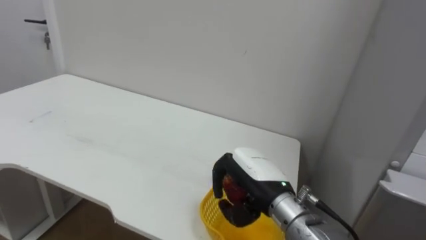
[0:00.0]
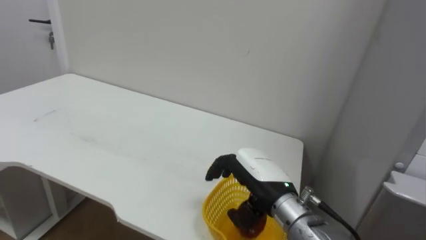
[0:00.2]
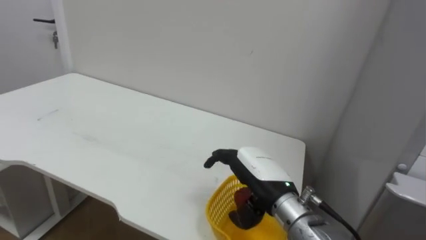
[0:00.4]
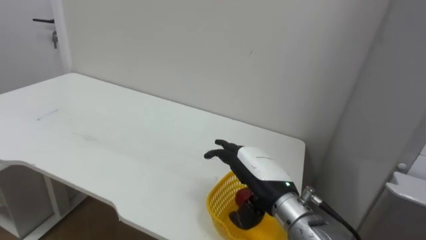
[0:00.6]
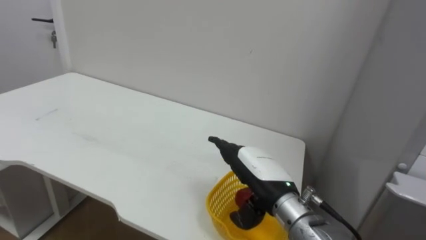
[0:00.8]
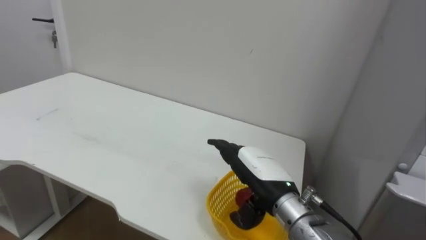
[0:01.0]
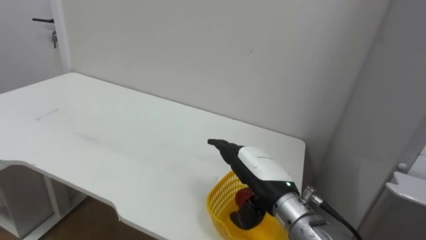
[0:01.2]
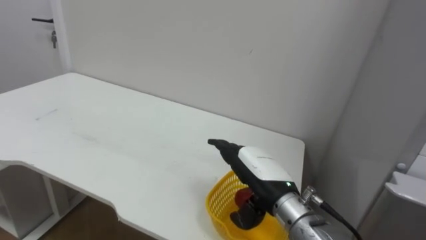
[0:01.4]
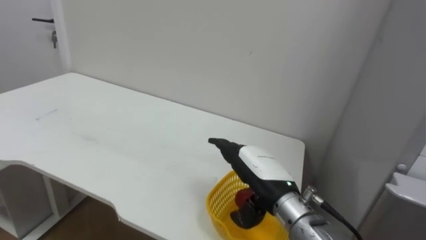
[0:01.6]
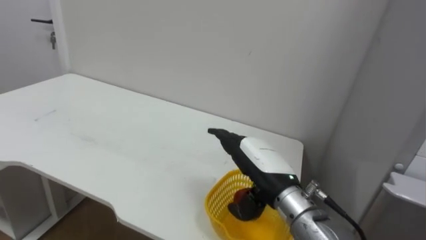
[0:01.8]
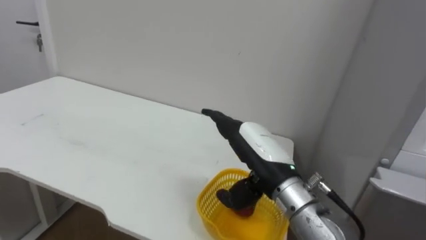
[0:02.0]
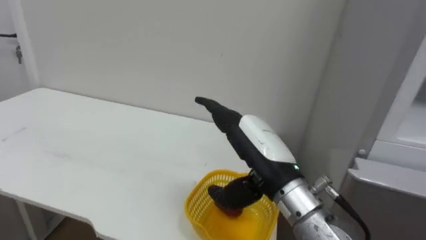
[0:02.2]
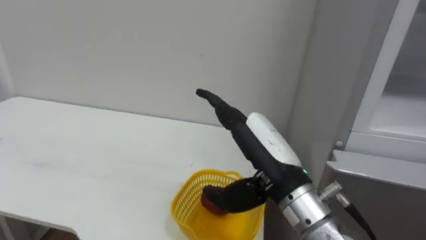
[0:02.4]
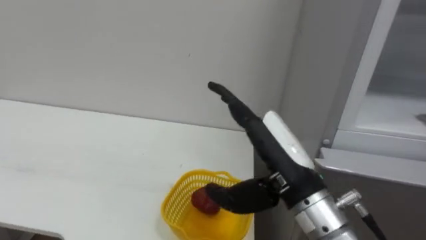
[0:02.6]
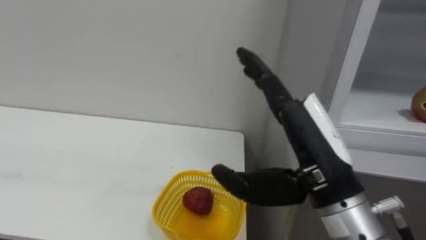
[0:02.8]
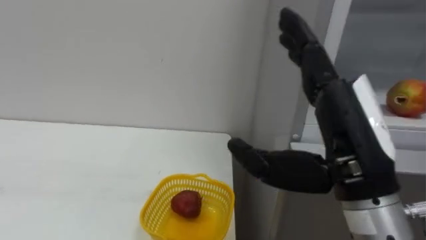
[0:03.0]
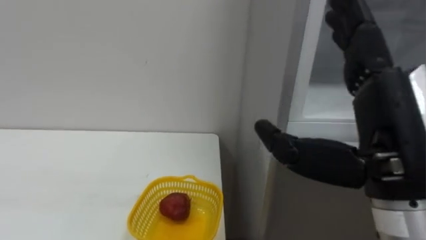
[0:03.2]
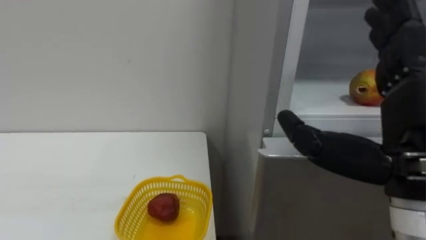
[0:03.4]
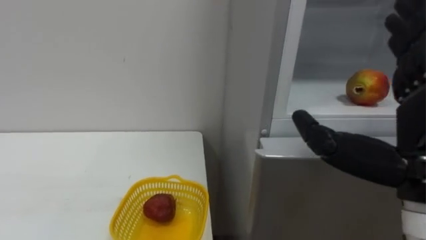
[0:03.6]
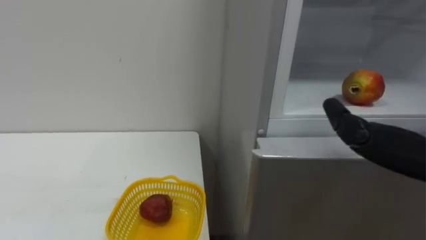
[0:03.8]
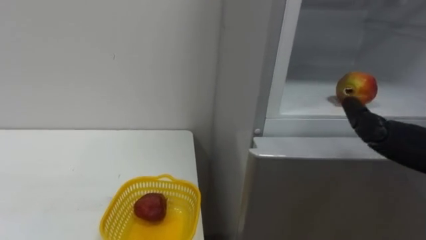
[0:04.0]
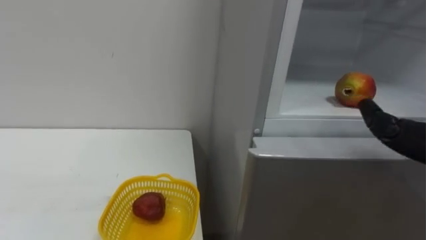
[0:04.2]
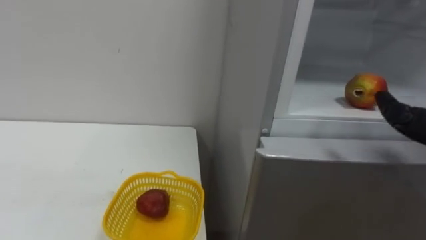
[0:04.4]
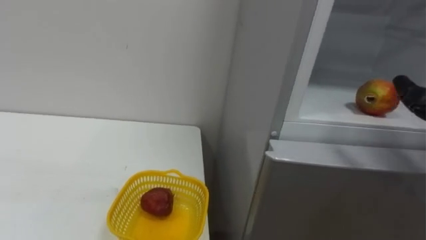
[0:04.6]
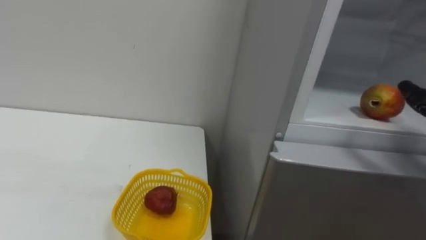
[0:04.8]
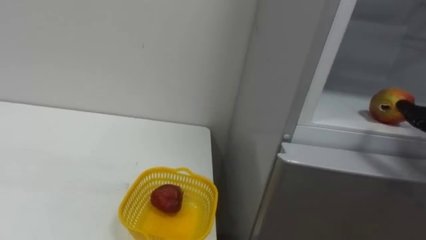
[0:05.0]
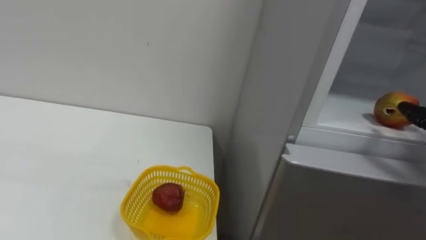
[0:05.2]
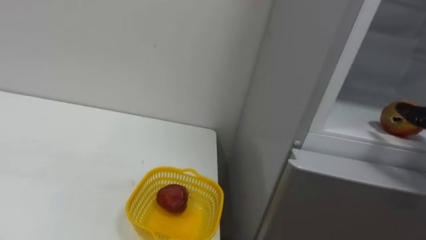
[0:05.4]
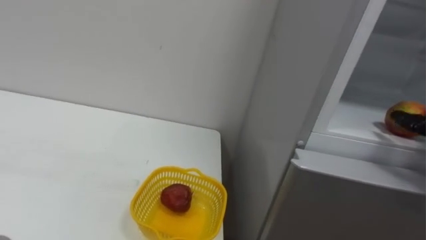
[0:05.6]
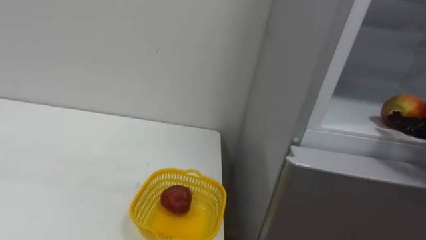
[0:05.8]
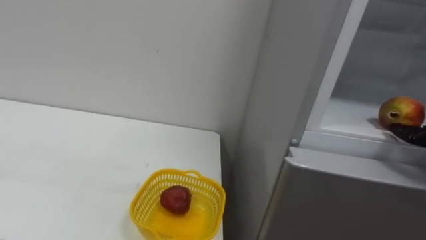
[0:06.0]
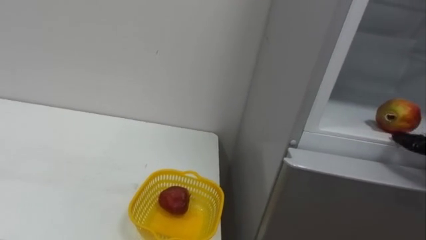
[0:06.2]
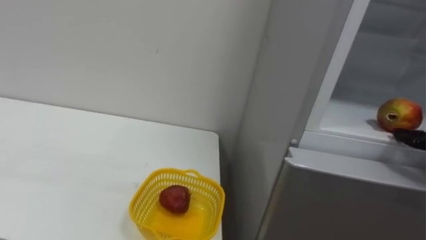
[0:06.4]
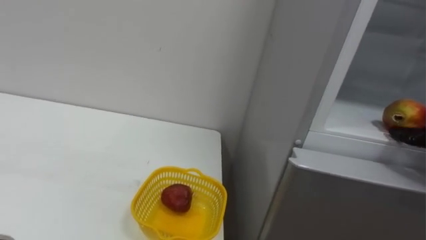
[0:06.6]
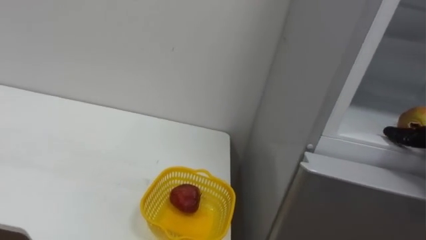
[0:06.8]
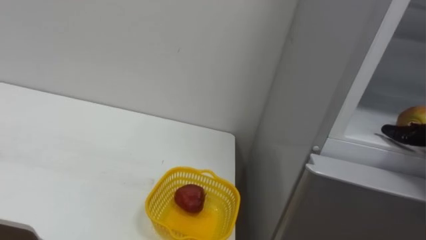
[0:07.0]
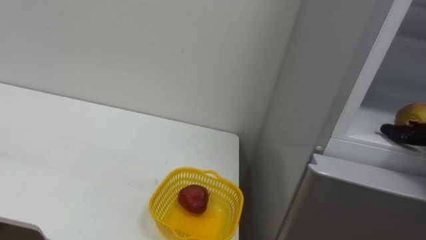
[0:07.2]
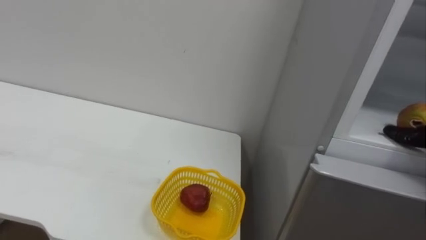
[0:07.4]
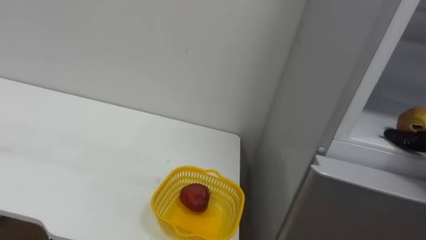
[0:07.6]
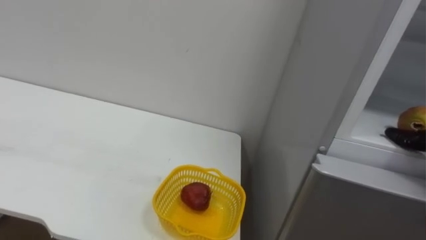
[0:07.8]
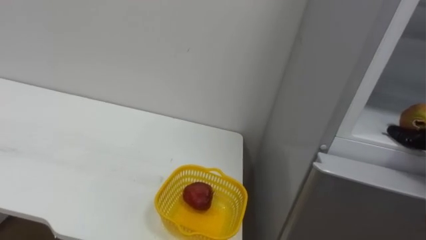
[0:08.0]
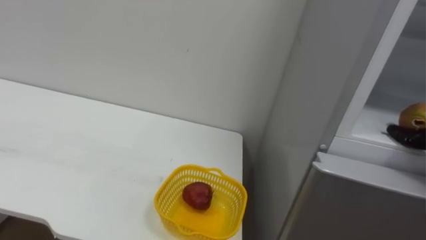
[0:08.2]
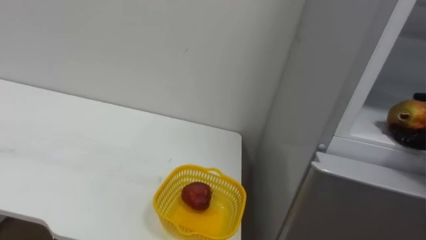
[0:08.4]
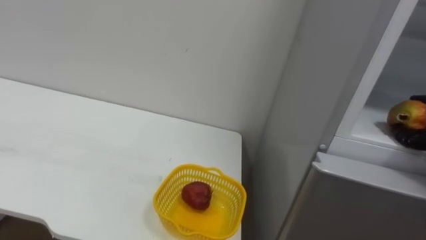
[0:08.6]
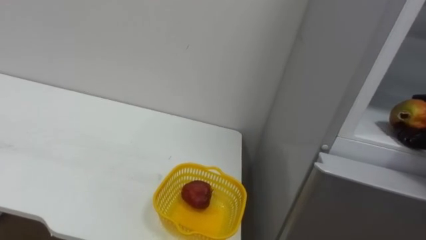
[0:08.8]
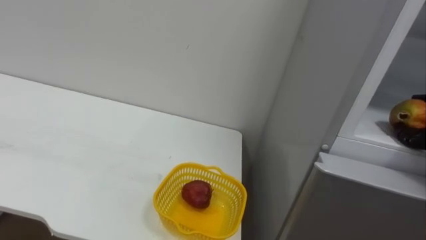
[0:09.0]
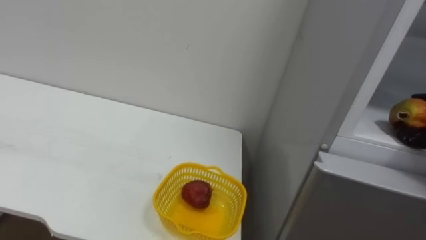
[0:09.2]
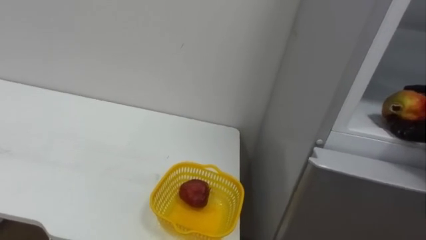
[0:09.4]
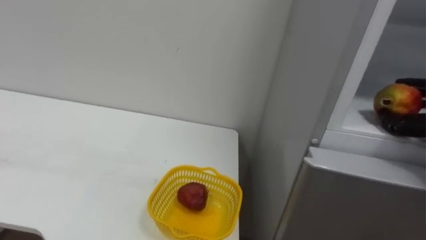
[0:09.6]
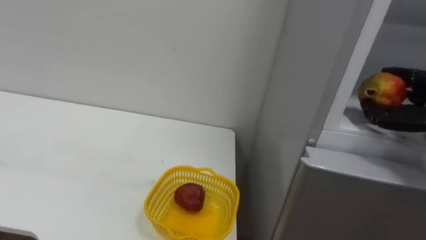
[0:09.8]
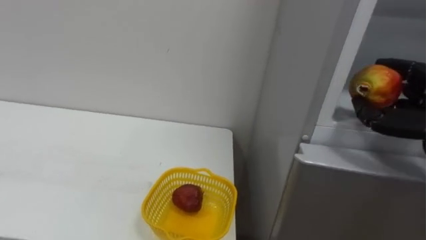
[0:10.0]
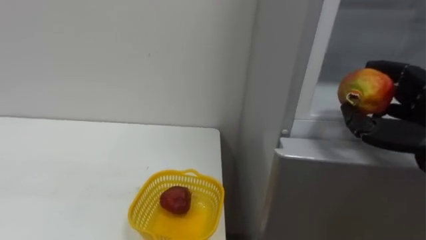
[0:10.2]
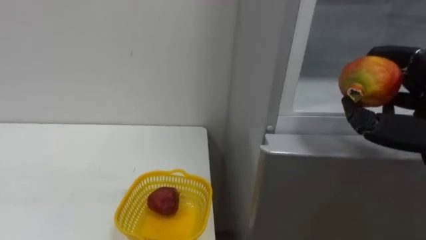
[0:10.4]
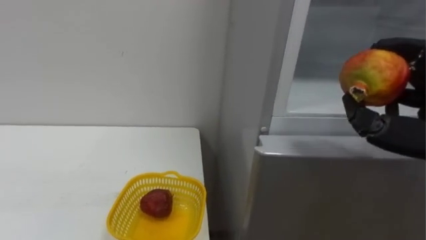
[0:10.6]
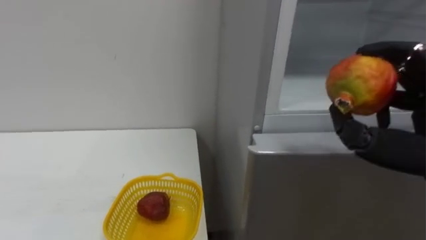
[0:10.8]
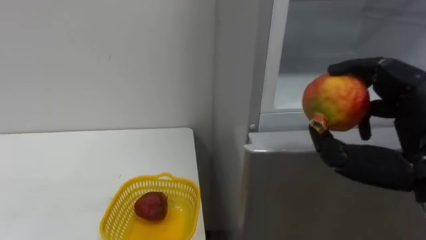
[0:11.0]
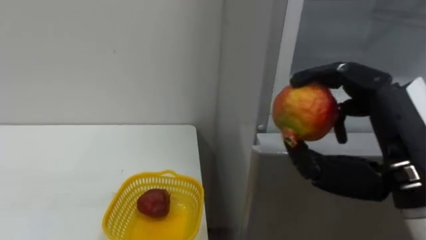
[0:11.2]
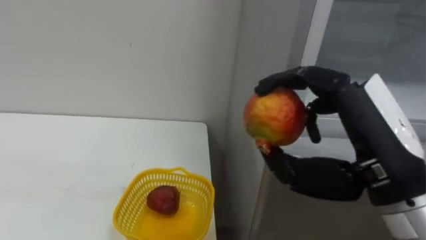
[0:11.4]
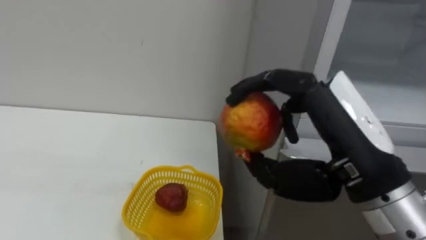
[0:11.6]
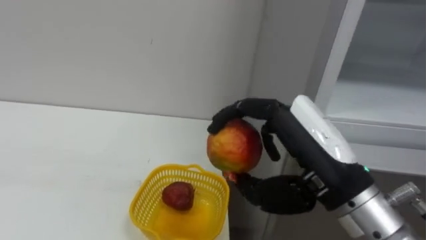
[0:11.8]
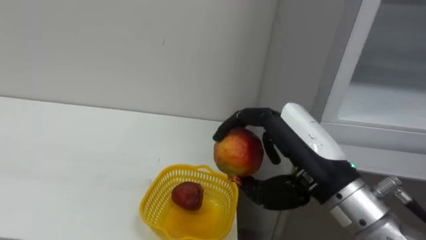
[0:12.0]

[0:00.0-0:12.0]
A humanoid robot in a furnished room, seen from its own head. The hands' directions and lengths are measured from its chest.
Task of the whole recording: Open the refrigerator door, take out the apple and the pomegranate, place them in the fruit basket on the left, and close the refrigerator door.
0:00.0 to 0:01.6: The right hand opens up.
0:01.6 to 0:03.0: The right hand goes some 20 cm upward, backward and to the right.

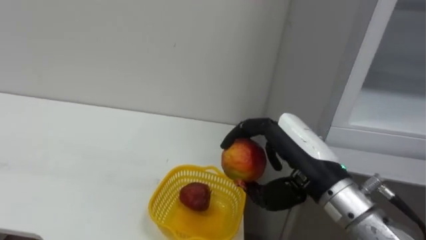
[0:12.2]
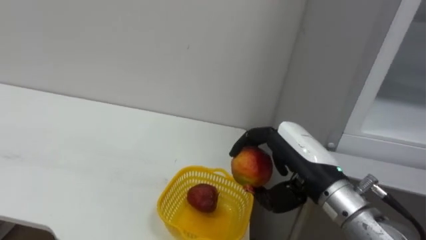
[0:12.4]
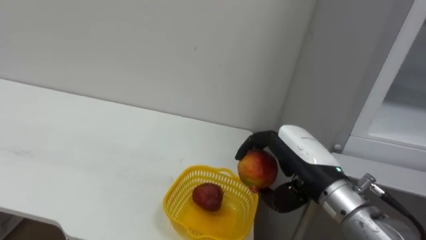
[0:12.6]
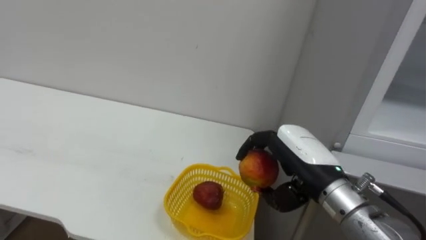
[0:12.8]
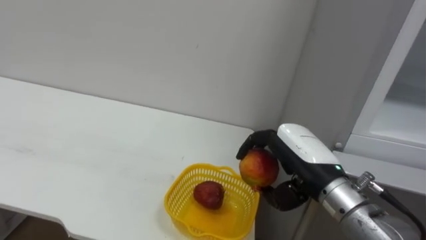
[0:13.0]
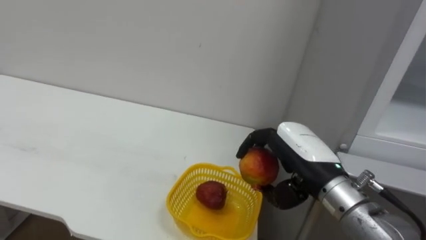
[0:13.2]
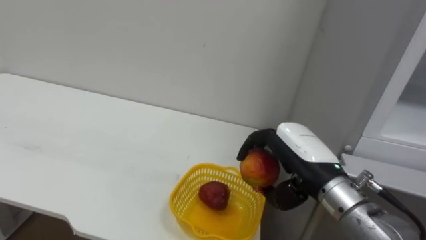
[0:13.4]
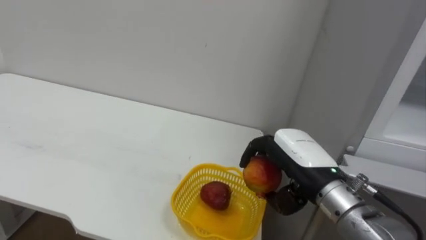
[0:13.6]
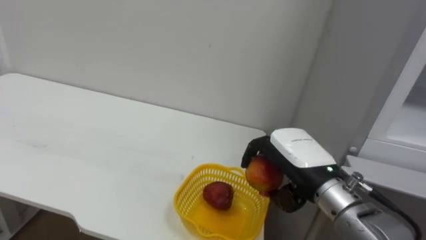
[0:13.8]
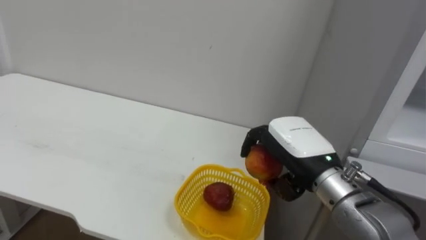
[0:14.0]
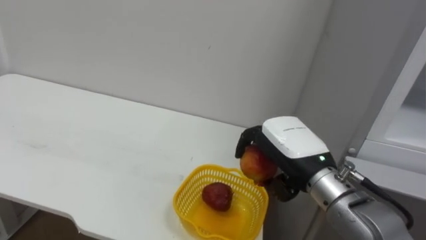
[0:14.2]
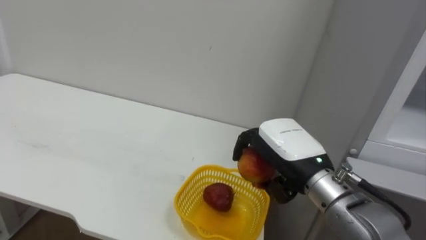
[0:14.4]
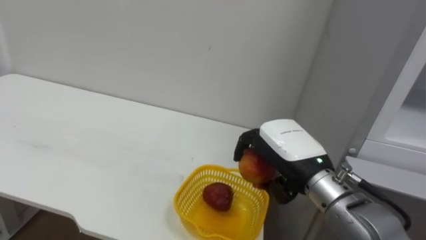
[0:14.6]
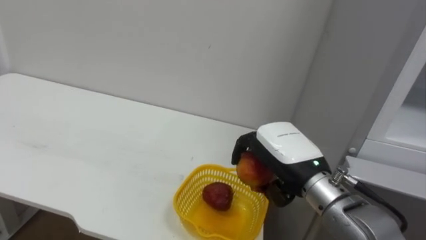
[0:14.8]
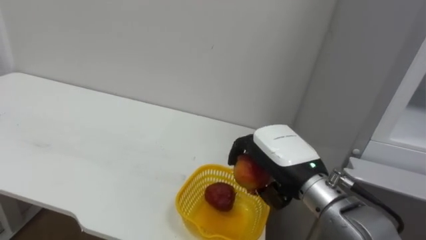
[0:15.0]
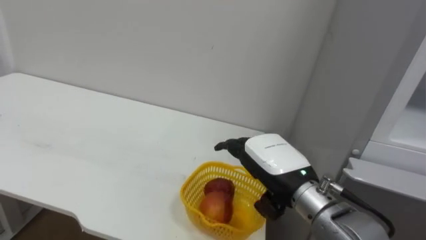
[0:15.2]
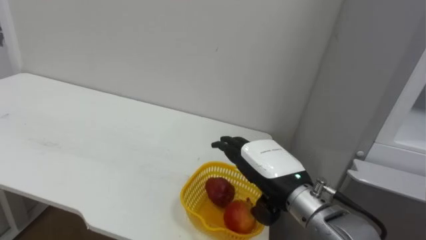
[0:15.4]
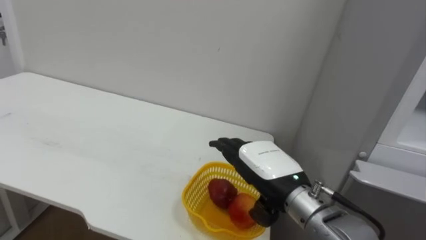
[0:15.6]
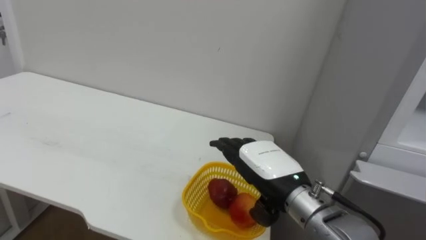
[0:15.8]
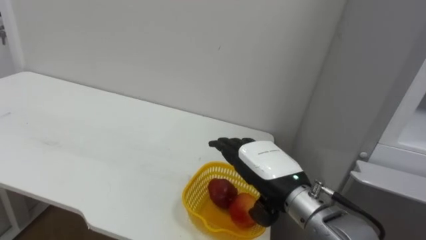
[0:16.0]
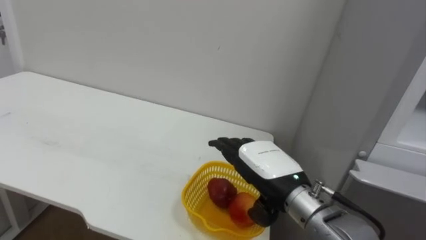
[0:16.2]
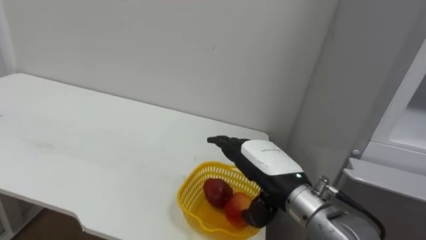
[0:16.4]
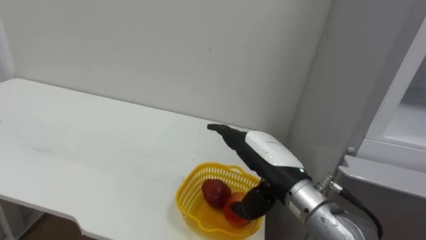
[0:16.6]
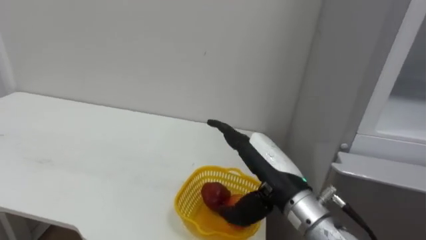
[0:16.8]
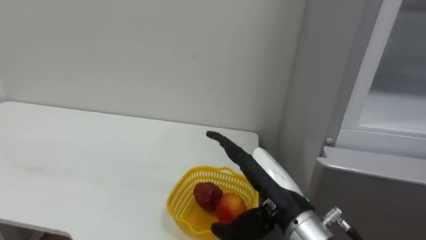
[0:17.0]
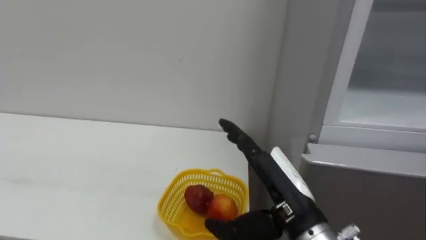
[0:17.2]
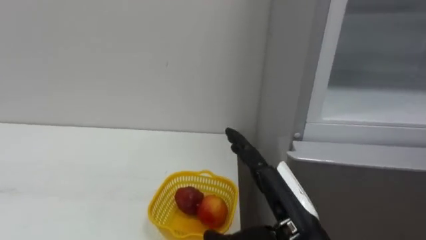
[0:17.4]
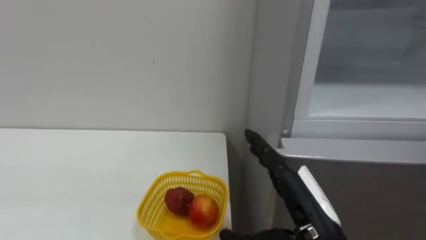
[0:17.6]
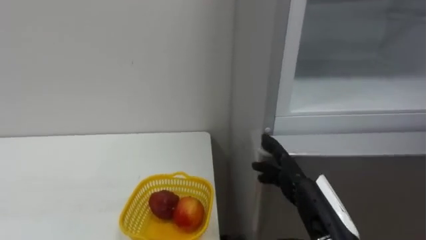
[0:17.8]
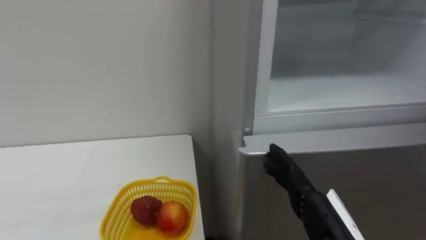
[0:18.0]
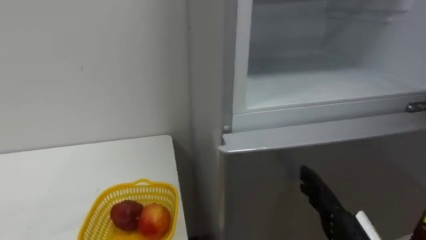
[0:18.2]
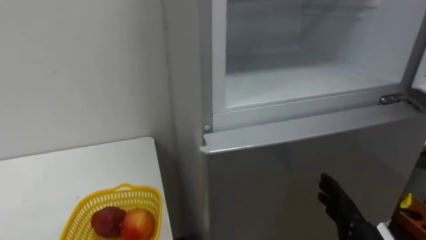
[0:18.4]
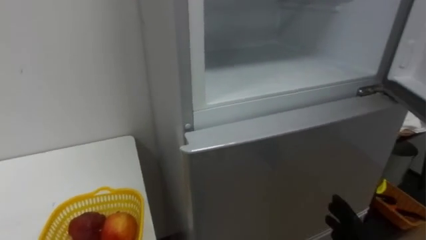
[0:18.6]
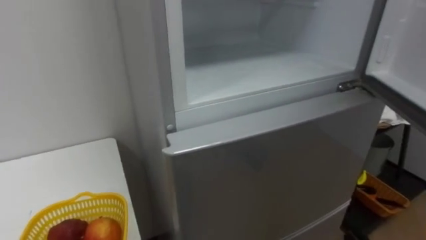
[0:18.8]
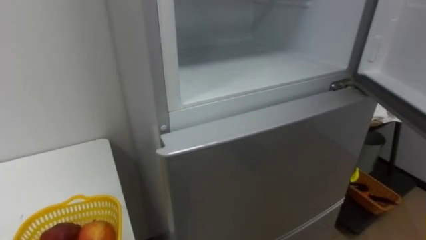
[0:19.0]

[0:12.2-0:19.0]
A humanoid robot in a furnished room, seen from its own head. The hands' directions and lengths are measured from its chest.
Task of the whole recording: Open the refrigerator door, take out the apple and the pomegranate, place them in the fruit basket on the left, and close the refrigerator door.
0:12.2 to 0:13.6: The right hand ends up some 5 cm from where it was.
0:15.0 to 0:16.2: The right hand opens up.
0:16.2 to 0:17.6: The right hand travels backward by some 10 cm.
